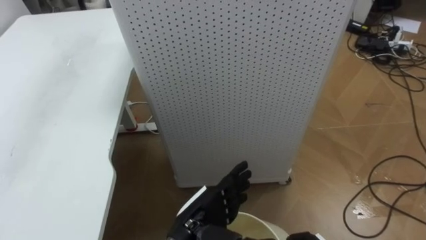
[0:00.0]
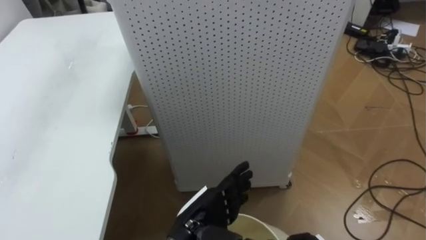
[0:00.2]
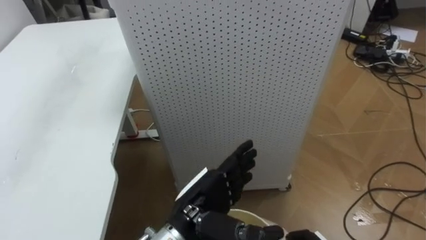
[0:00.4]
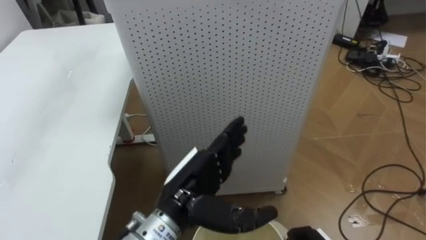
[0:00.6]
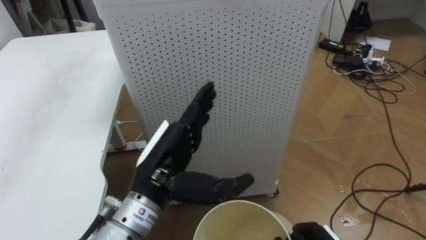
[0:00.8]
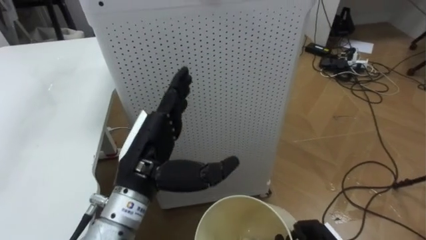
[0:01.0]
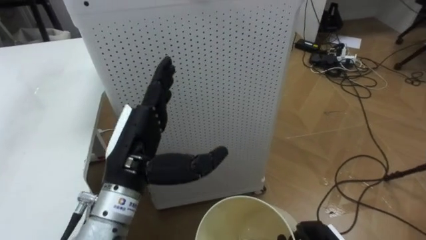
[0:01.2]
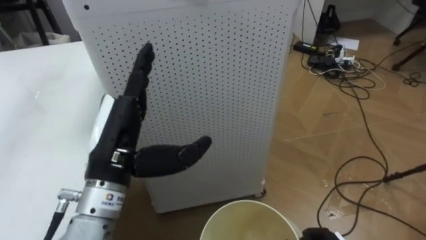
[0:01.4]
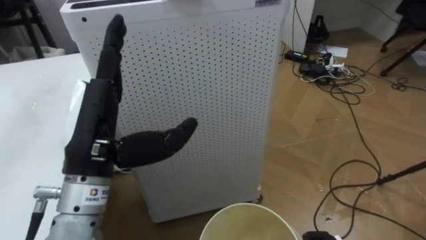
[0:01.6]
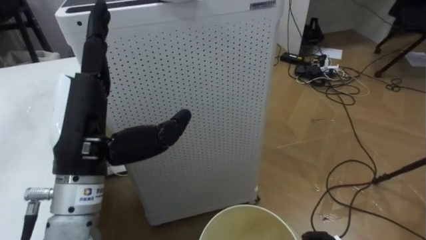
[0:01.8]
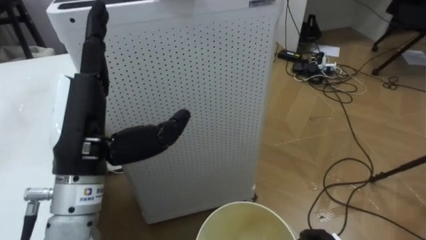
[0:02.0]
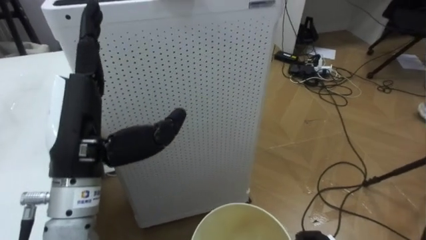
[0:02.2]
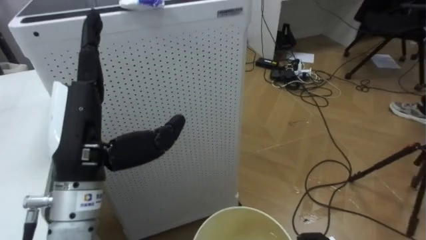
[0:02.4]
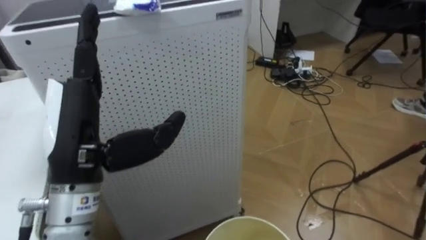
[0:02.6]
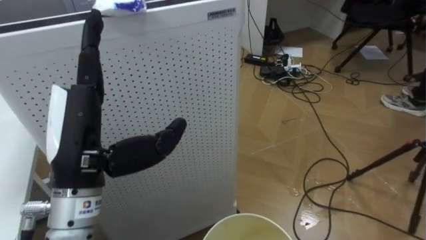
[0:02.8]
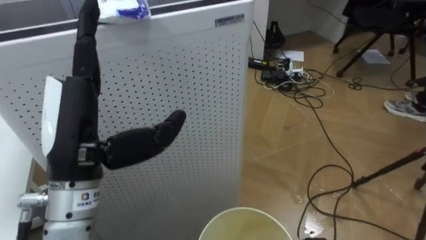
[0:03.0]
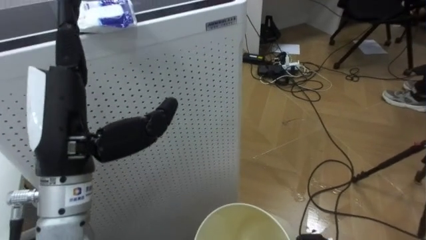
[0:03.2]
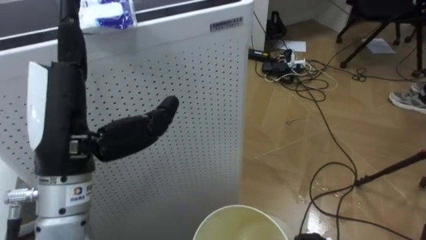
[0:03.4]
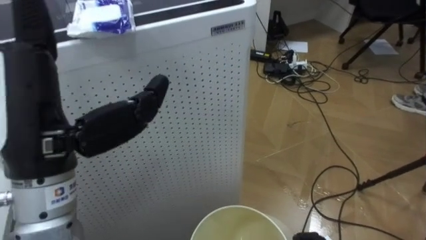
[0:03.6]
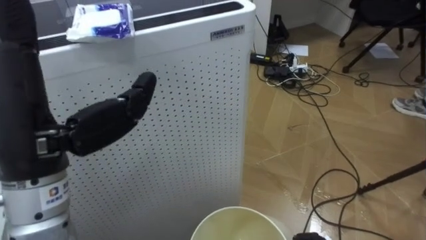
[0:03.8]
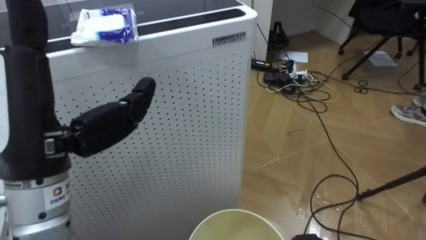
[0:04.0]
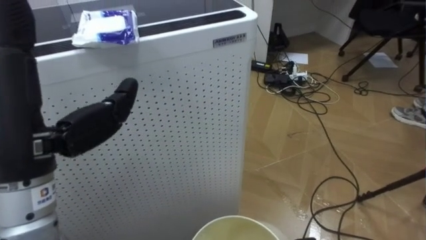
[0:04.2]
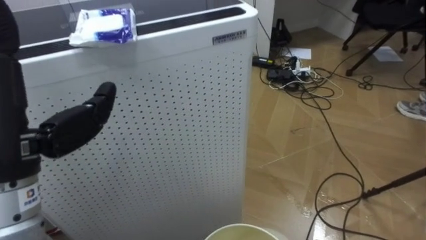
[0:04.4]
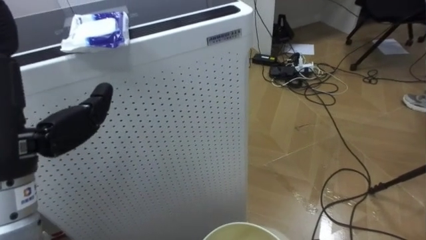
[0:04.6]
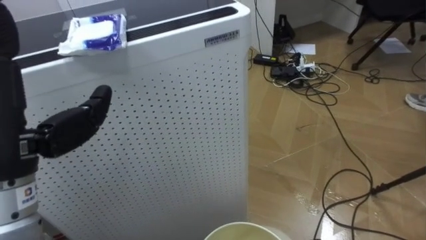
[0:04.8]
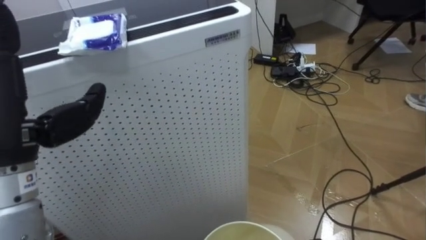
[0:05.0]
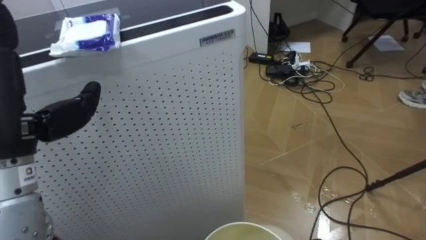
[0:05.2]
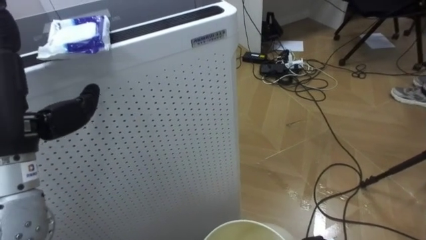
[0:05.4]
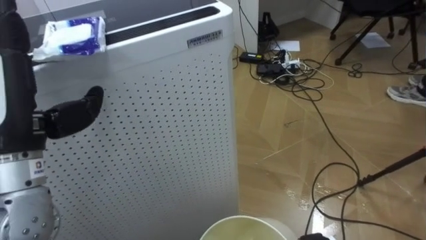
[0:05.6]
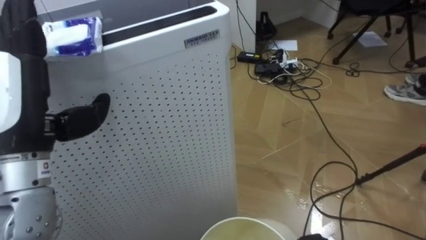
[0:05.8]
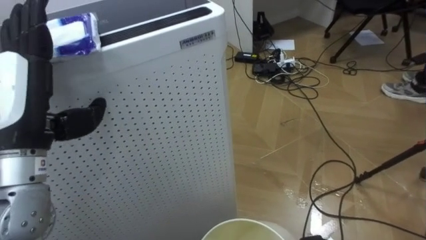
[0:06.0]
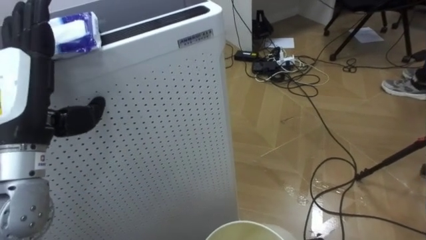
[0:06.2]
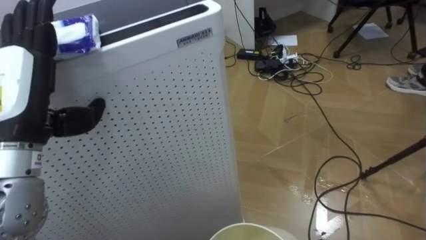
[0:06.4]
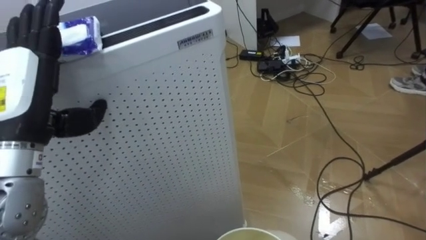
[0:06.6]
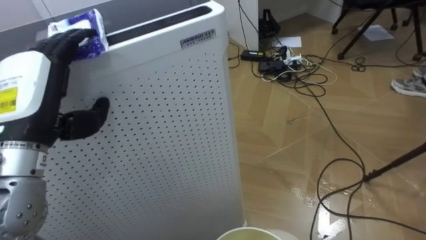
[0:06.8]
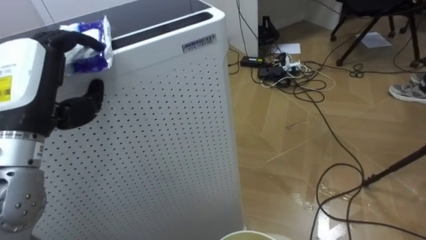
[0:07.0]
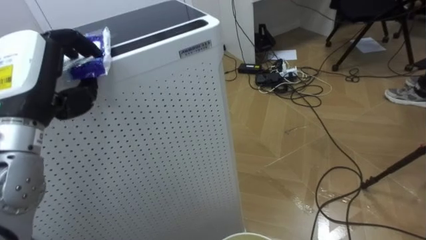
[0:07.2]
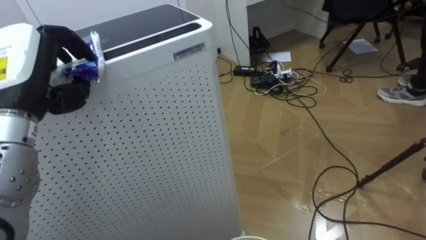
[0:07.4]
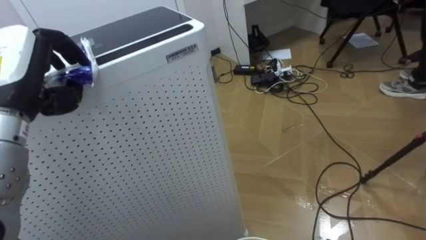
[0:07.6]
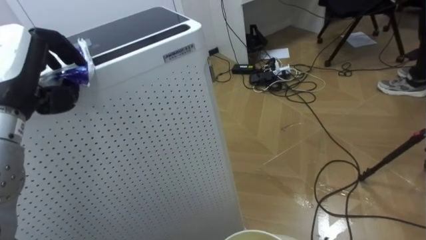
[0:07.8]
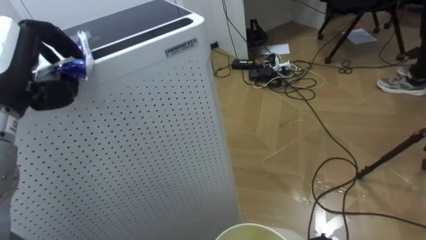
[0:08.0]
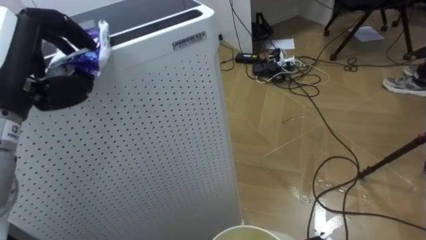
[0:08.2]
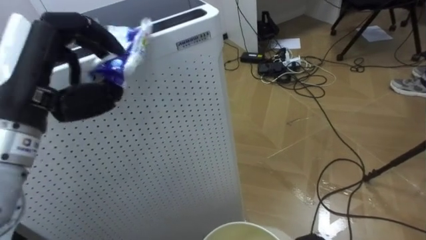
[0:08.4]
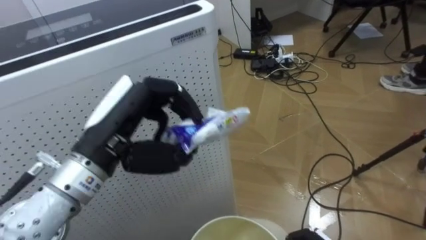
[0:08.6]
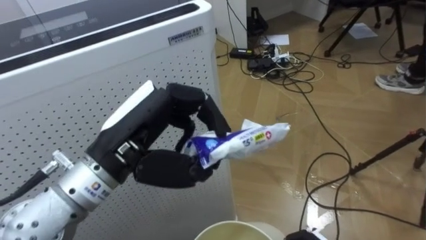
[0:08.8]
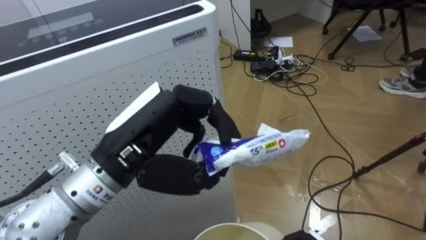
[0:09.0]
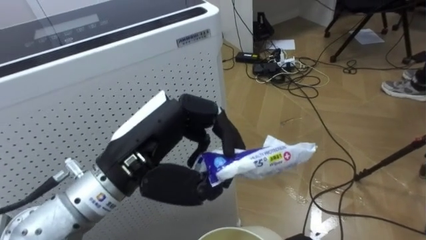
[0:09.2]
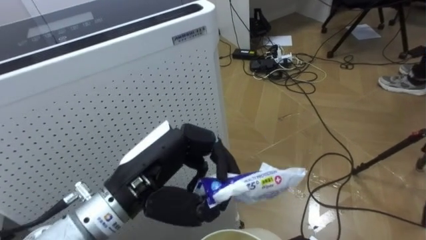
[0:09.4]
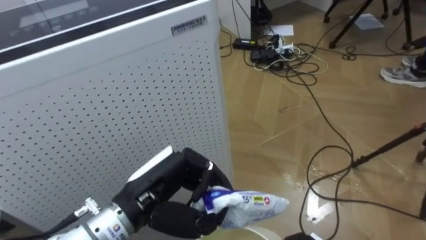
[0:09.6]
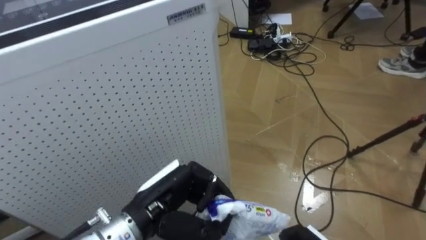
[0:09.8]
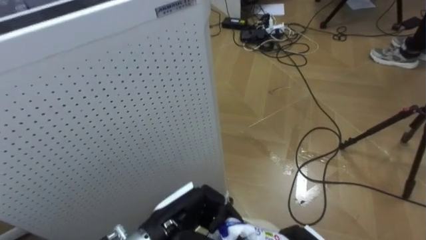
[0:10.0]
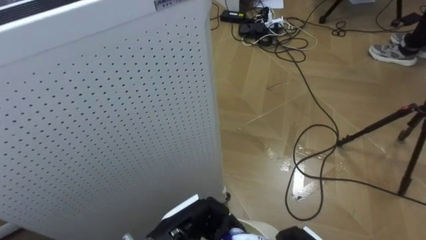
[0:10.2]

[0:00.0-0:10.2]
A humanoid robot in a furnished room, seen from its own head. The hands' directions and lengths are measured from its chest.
Task of the whole recording: Pick up the light blue package, the candy box, and the dark blue package separately, and put them into the trash can held in your right hand.
0:00.0 to 0:01.4: The left hand moves upward and to the left, some 20 cm.
0:01.4 to 0:03.0: The robot turns to its right by roughly 20 degrees. The left hand changes place by roughly 5 cm.
0:03.0 to 0:04.4: The left hand moves approximately 5 cm.
0:05.8 to 0:07.2: The left hand closes.
0:07.2 to 0:08.8: The left hand heads to the right, covering about 15 cm.
0:08.8 to 0:10.2: The left hand shifts roughly 20 cm downward.

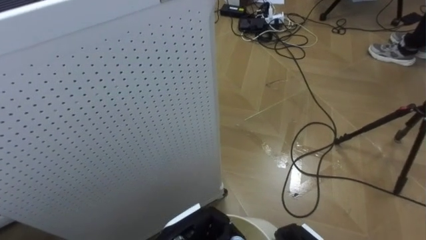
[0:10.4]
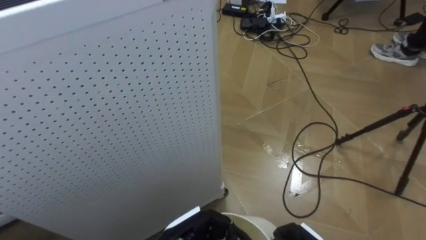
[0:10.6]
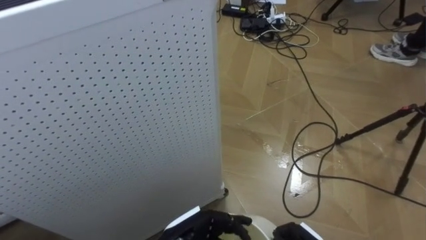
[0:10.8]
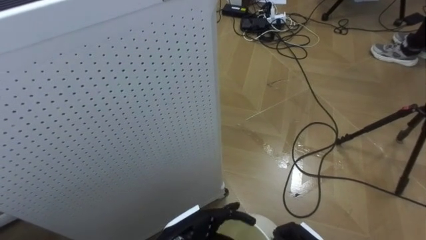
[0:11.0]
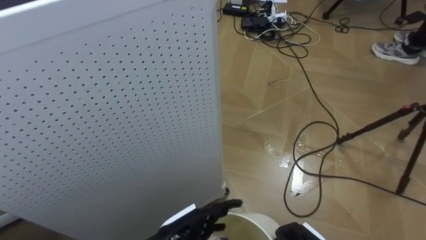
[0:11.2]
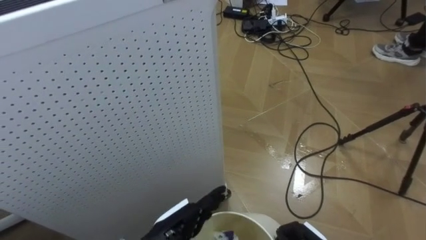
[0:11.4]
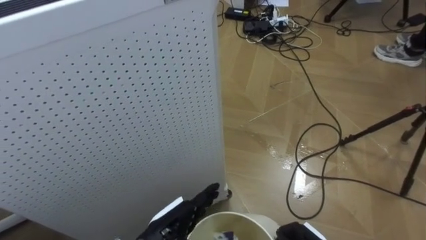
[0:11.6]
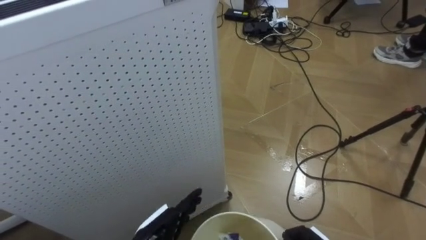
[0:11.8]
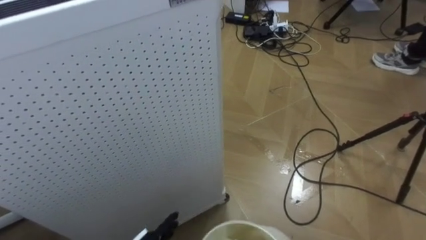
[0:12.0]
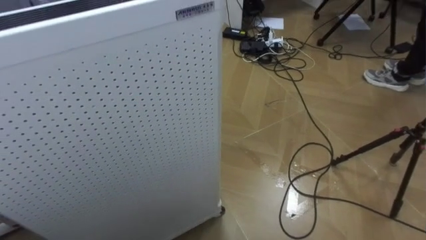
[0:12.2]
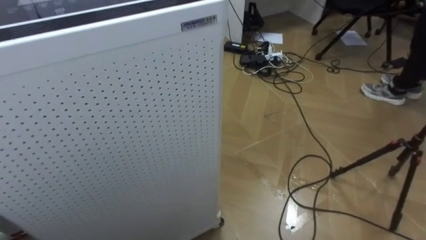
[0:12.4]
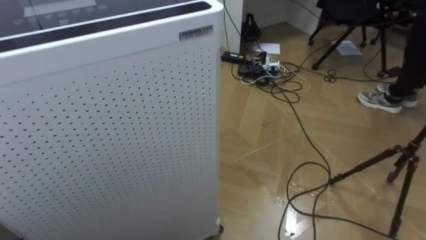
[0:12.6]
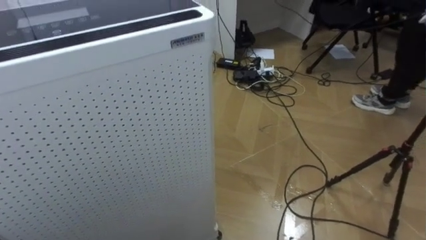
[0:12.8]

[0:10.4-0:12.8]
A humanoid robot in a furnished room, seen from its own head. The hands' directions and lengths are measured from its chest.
Task of the whole recording: Pick up the light blue package, the candy box, and the dark blue package separately, and put them into the trash can held in your right hand.
0:10.4 to 0:11.6: The left hand opens up.

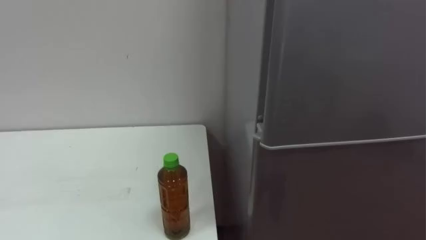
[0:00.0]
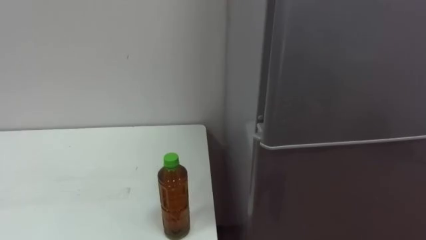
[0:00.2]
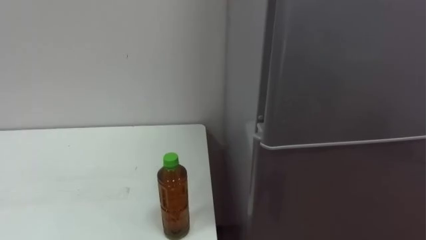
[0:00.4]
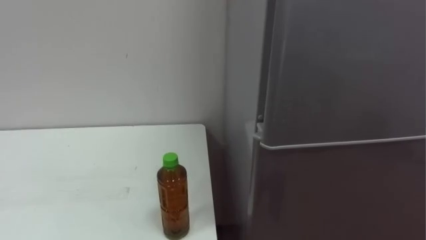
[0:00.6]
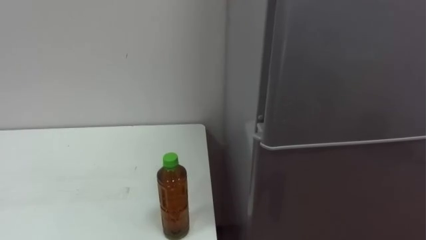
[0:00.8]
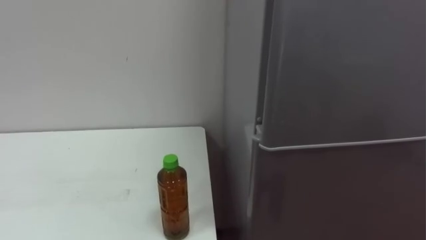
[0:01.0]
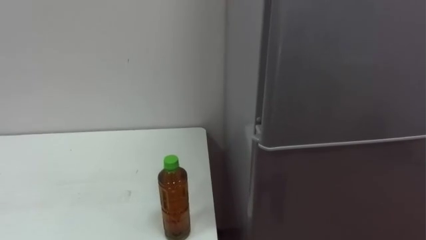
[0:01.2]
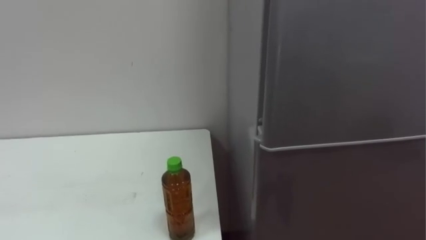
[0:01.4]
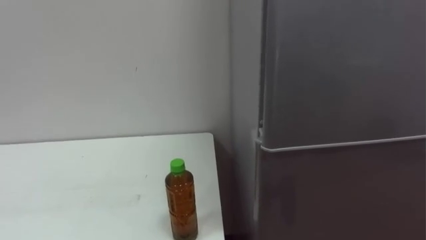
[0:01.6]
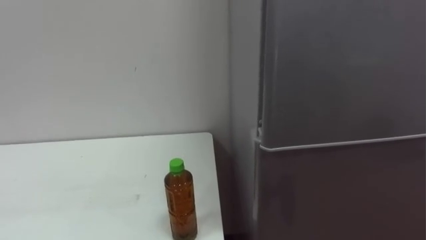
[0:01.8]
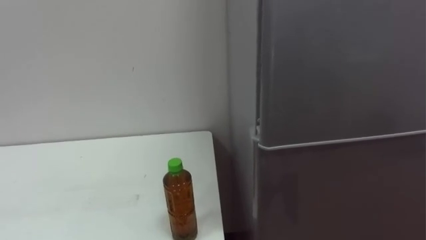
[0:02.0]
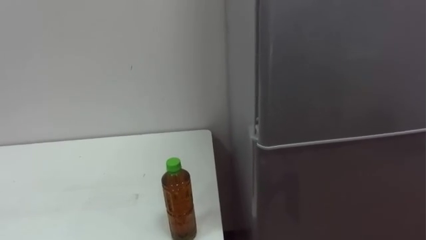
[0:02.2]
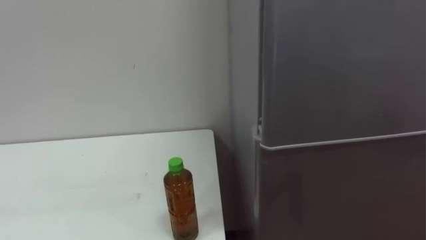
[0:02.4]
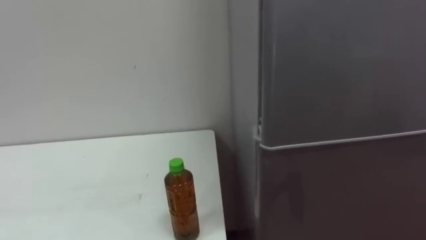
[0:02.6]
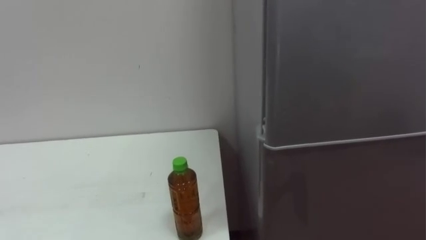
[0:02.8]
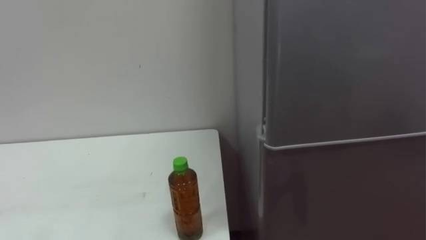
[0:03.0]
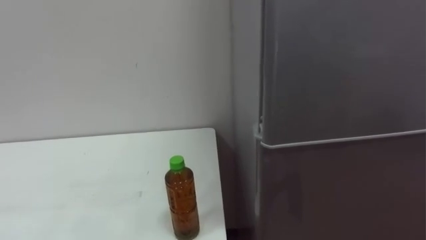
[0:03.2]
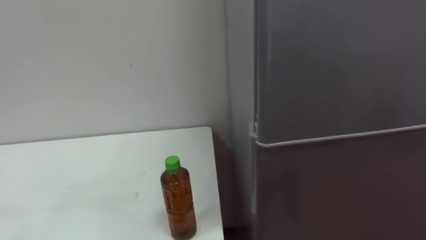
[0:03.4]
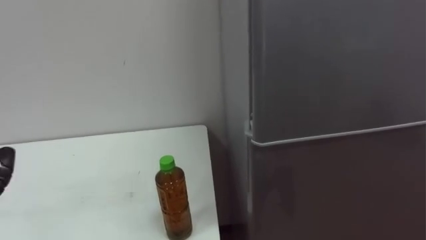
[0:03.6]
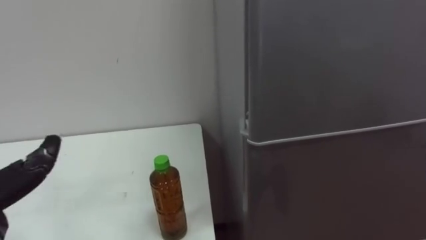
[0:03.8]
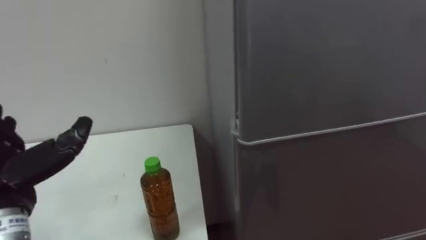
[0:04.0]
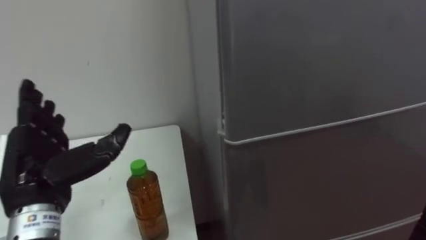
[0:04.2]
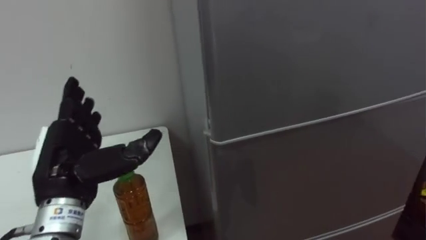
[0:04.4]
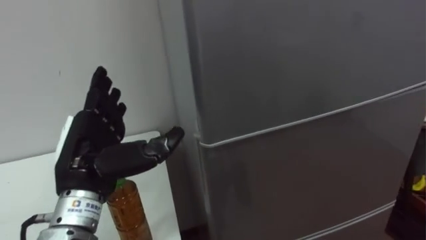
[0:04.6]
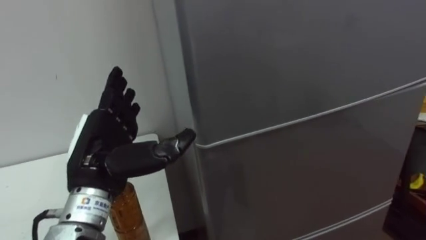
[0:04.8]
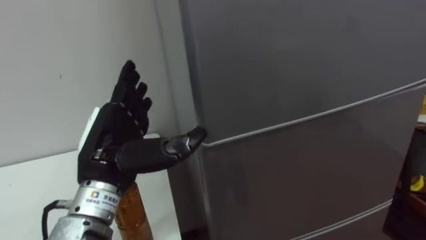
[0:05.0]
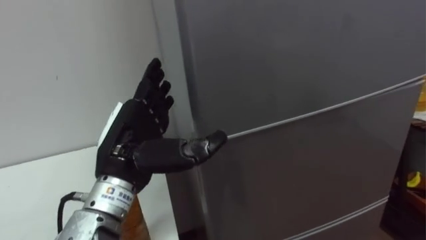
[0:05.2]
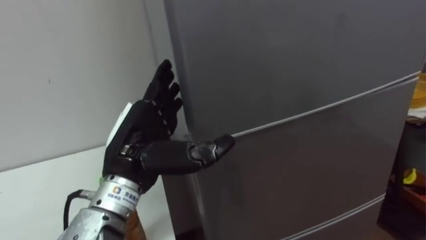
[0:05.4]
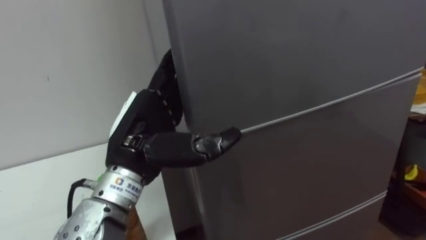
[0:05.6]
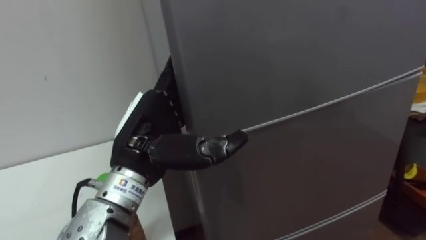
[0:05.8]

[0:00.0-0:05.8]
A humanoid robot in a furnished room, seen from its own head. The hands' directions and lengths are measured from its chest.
Task of the whole recording: Open the upper refrigerator door, put the drink from the table into the refrigerator, and then close the refrigerator door.
0:04.4 to 0:05.8: The left hand heads to the right, covering some 10 cm.
